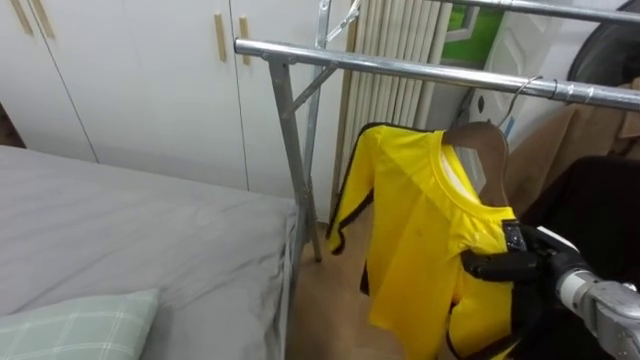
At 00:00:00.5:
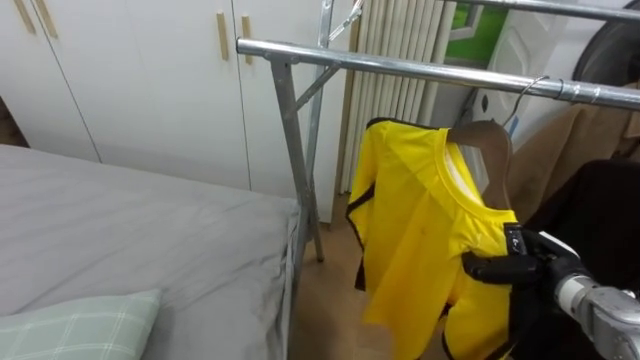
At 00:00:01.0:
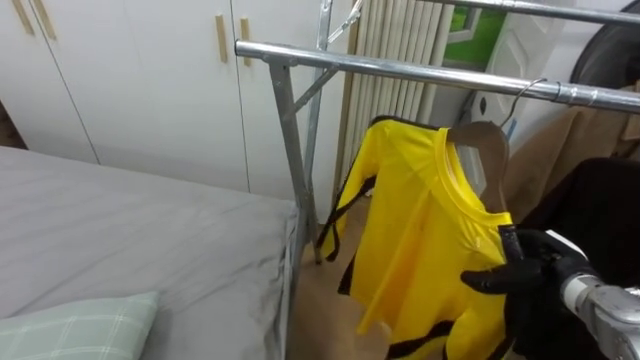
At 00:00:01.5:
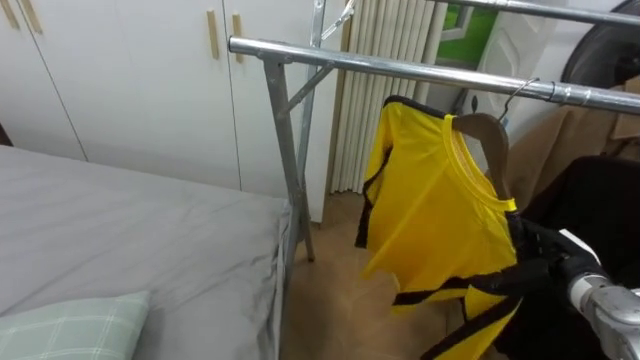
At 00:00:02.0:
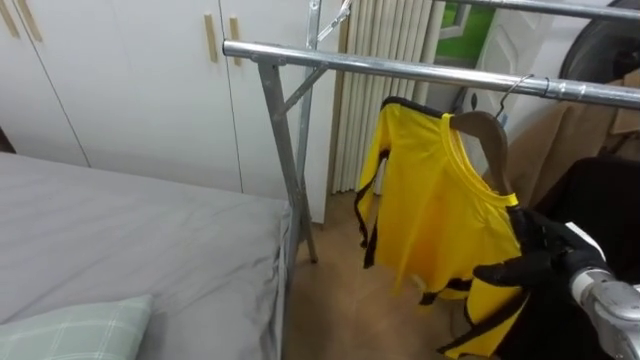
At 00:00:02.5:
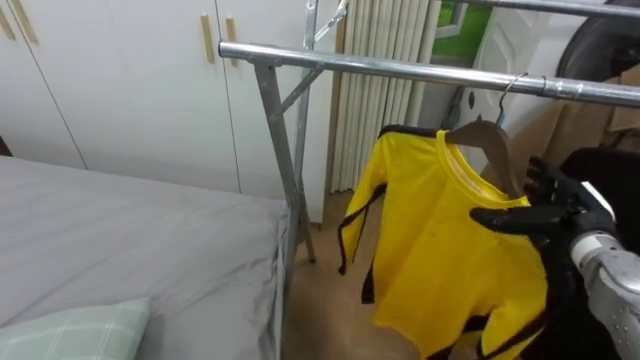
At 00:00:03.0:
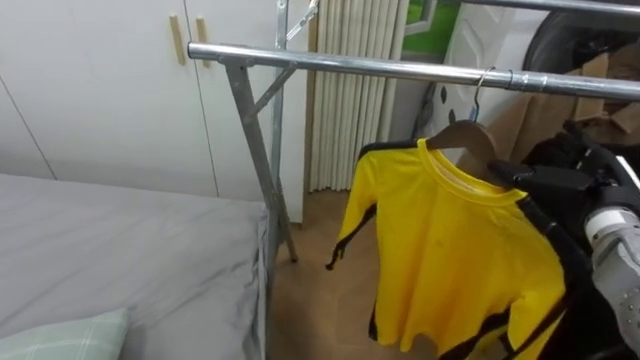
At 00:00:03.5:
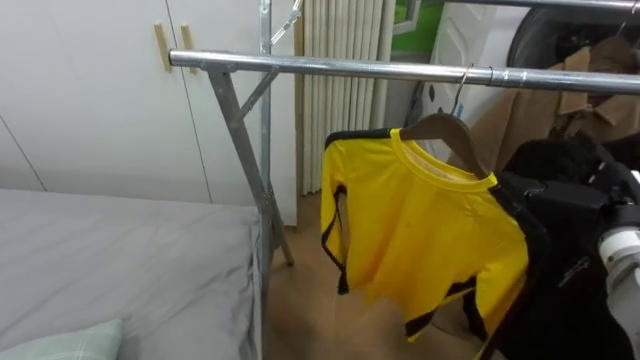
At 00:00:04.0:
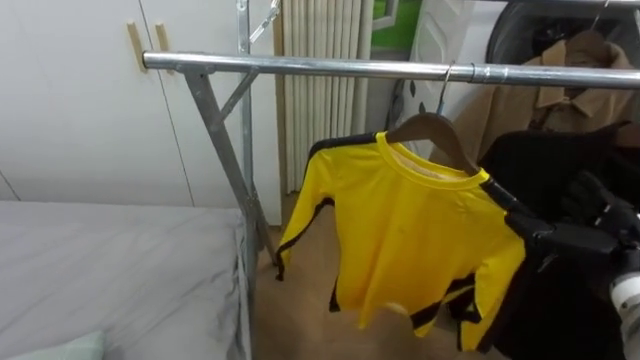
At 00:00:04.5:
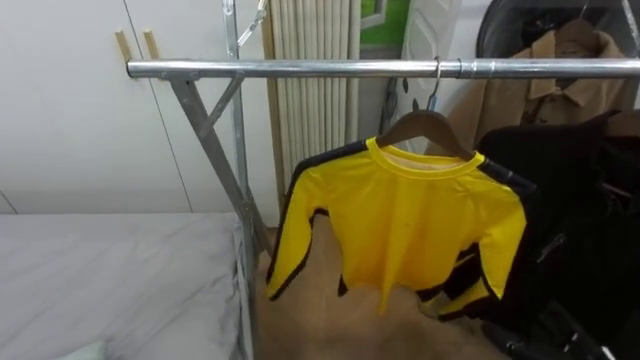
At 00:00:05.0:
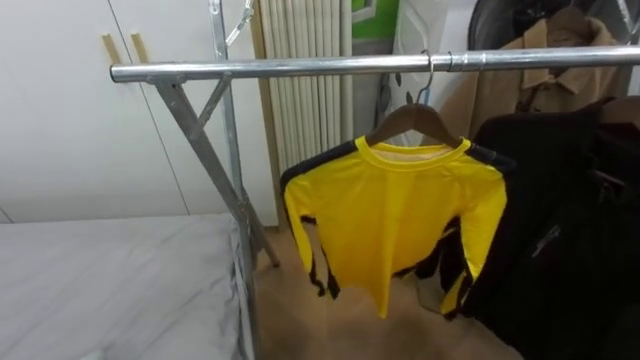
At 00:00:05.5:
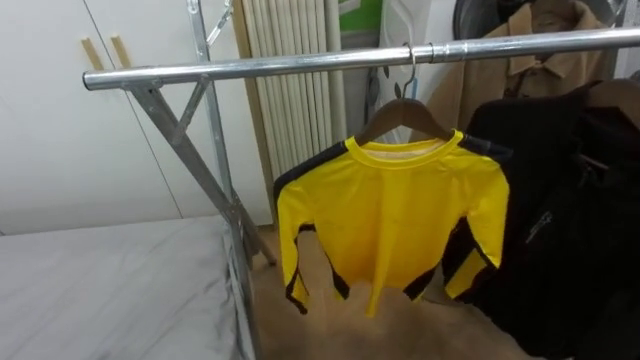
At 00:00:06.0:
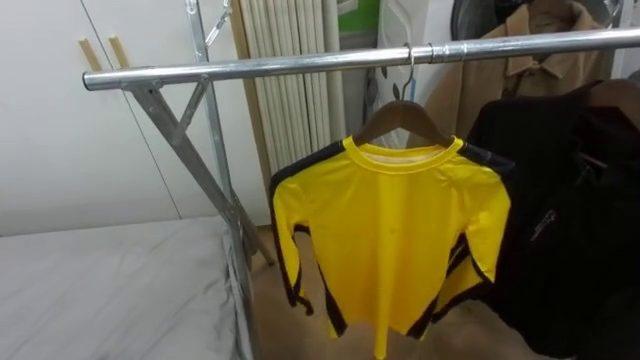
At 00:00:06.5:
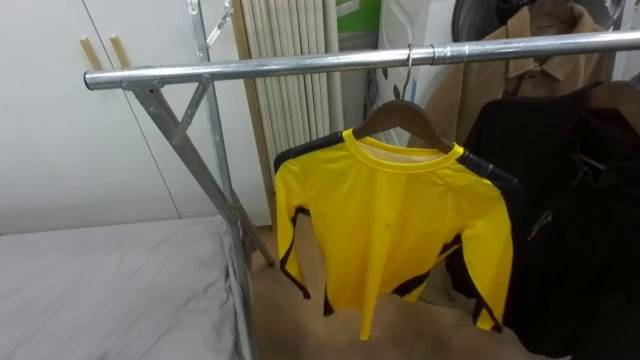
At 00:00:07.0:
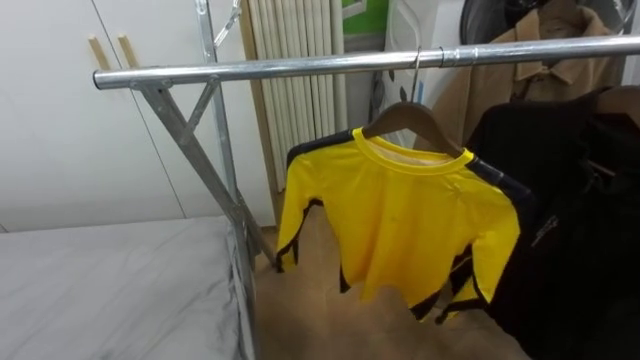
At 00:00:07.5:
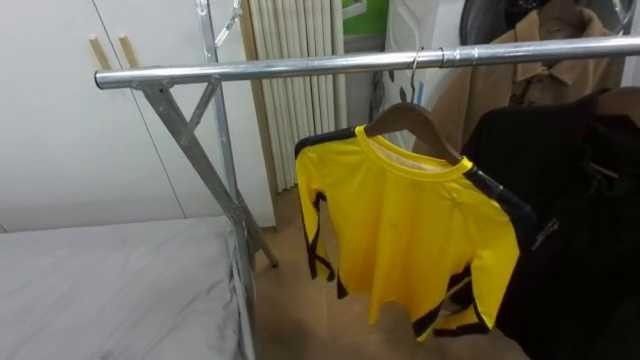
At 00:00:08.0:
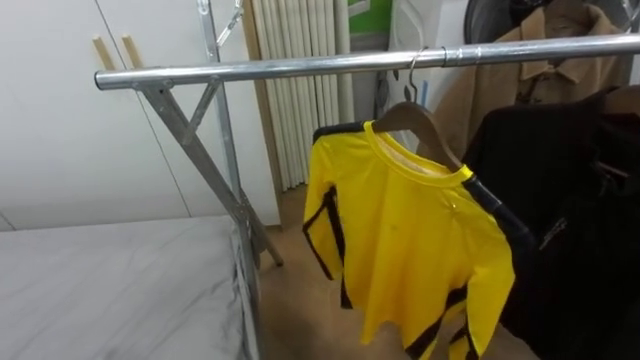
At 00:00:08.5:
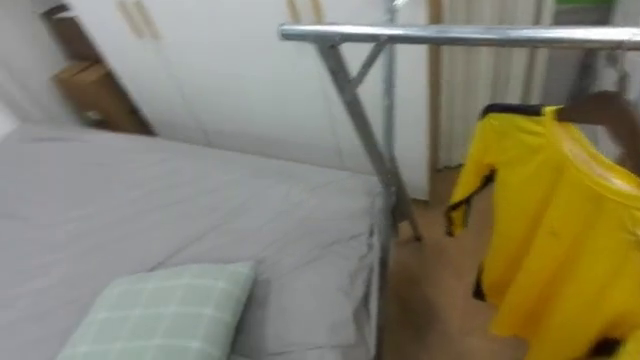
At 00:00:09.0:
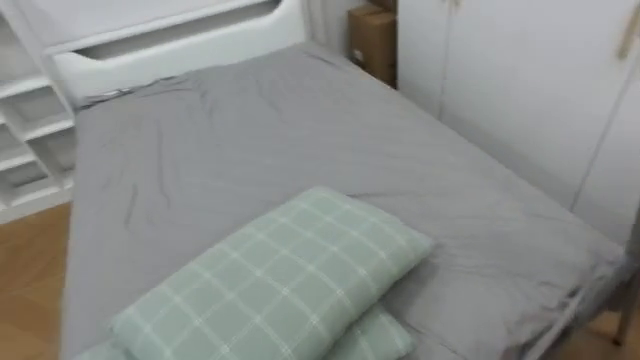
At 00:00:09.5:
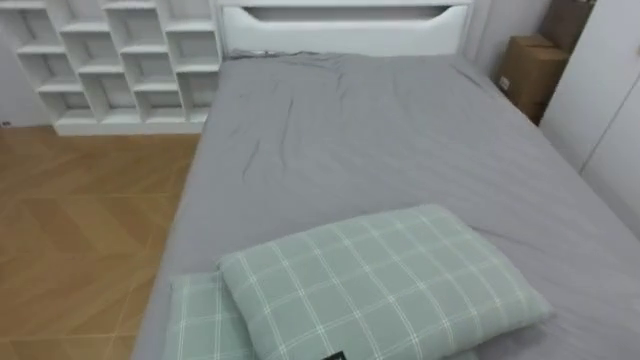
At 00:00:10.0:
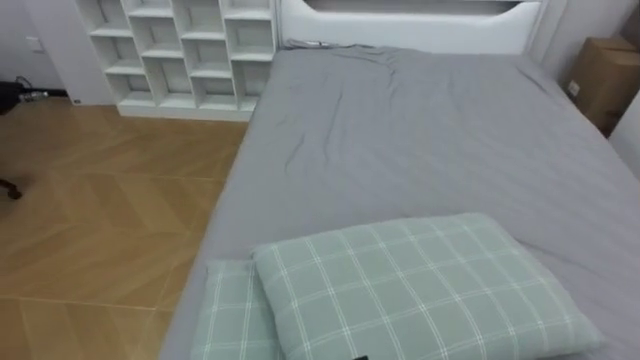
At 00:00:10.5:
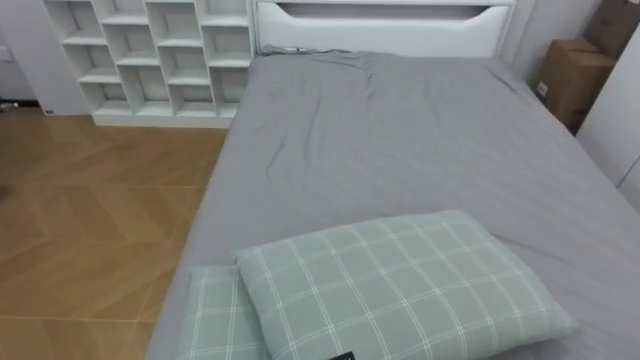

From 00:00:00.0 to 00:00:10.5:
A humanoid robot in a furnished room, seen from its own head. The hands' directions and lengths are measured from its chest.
Task of the whole recording: Pick up the yellow shirt on the bed and hang it on the clothes rack on the right.
From 00:00:00.0 to 00:00:02.0: The right hand opens.
From 00:00:02.0 to 00:00:04.0: The right hand is displaced upward by about 5 cm.
From 00:00:06.5 to 00:00:08.5: The robot turns to its left by some 20 degrees.
From 00:00:08.5 to 00:00:10.5: The robot faces some 70 degrees further to its left.

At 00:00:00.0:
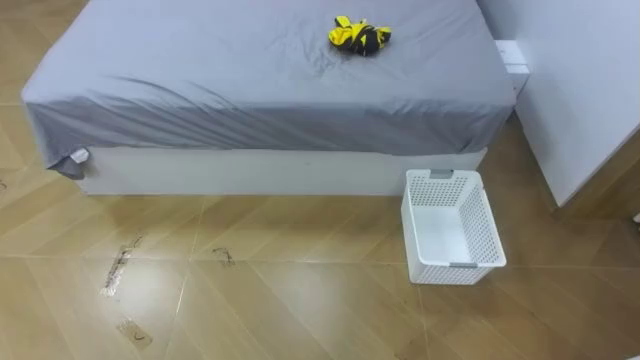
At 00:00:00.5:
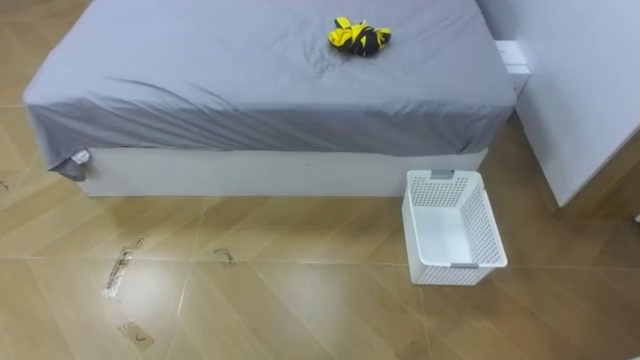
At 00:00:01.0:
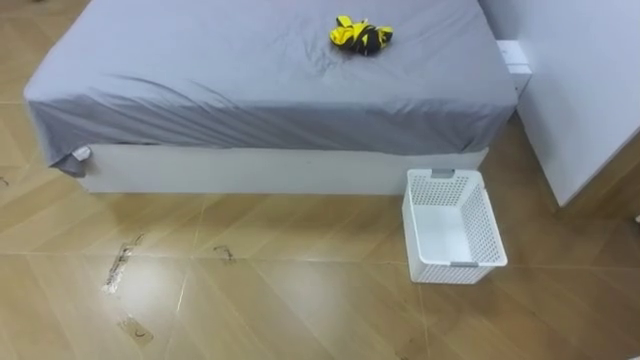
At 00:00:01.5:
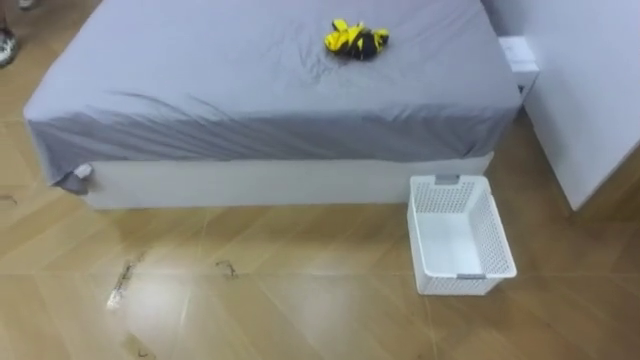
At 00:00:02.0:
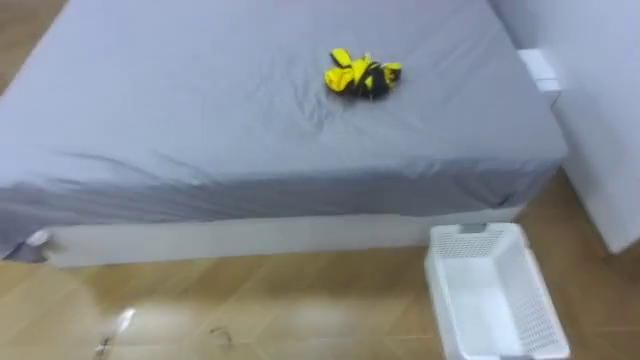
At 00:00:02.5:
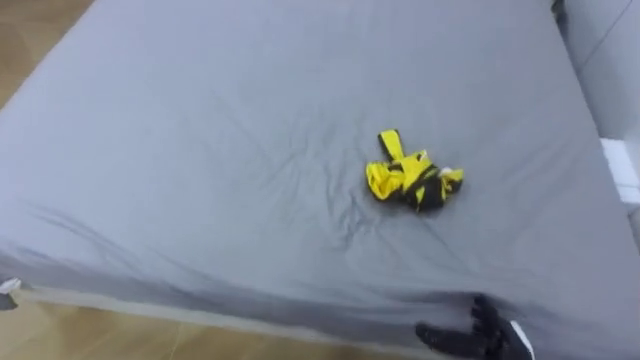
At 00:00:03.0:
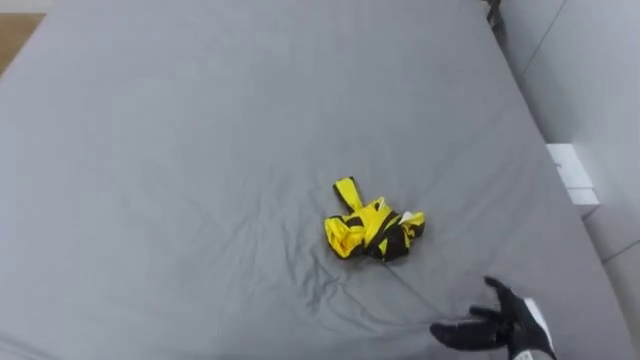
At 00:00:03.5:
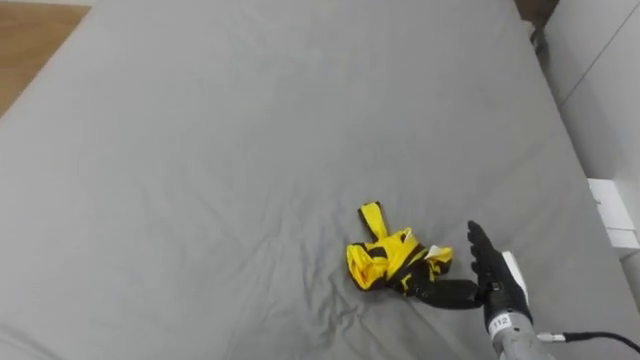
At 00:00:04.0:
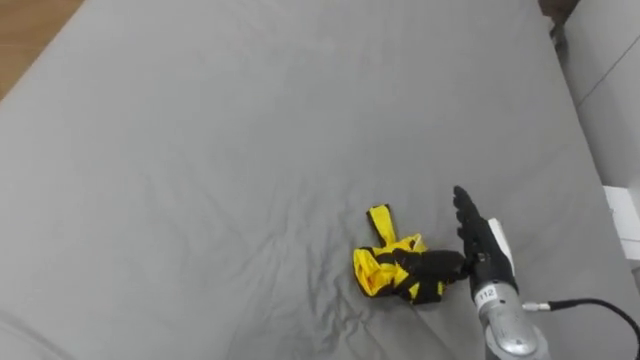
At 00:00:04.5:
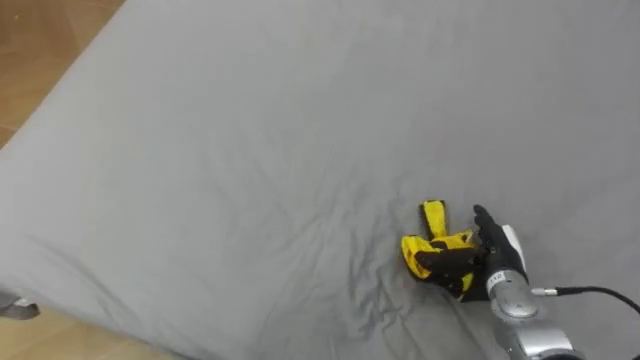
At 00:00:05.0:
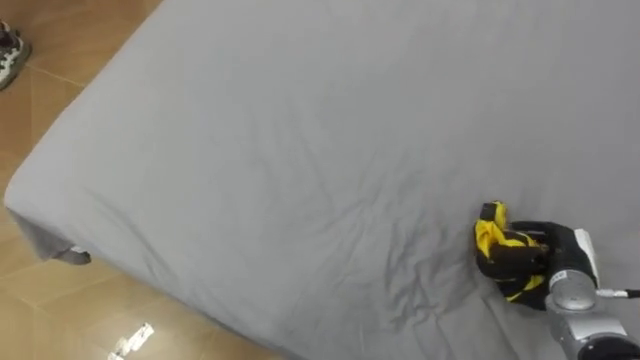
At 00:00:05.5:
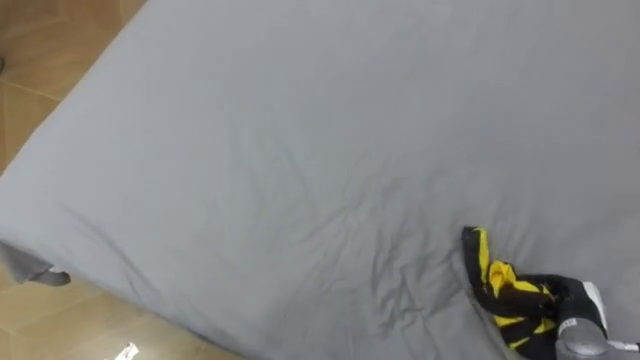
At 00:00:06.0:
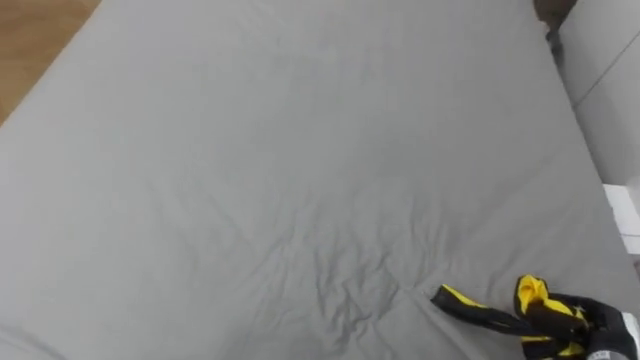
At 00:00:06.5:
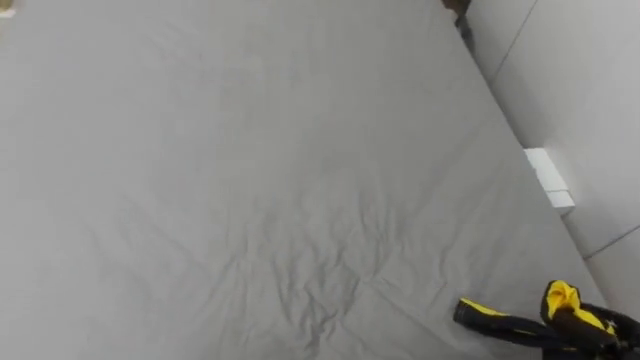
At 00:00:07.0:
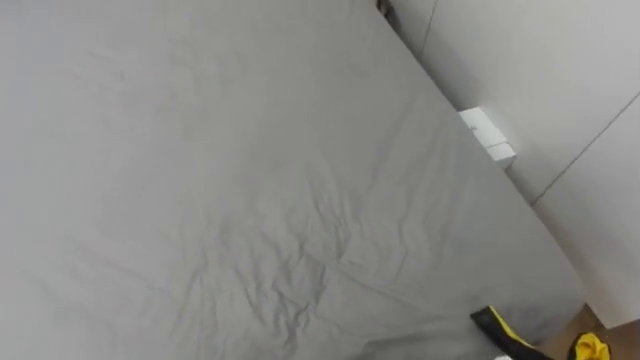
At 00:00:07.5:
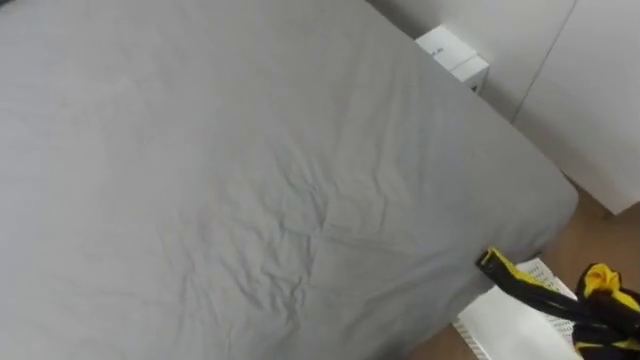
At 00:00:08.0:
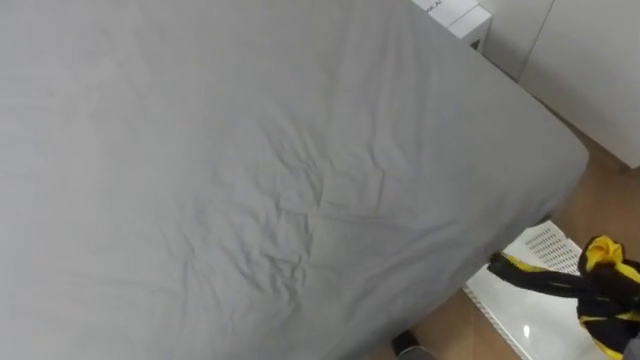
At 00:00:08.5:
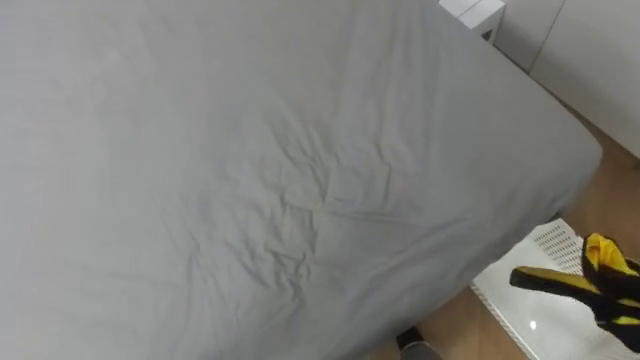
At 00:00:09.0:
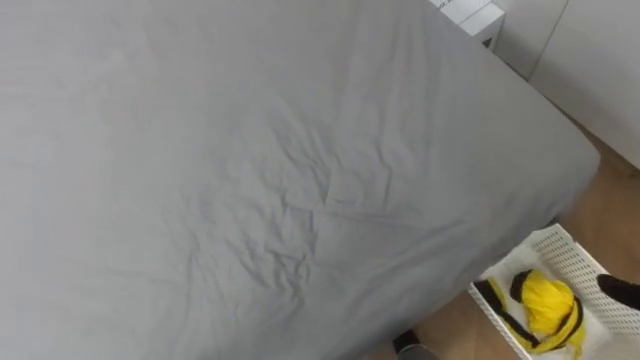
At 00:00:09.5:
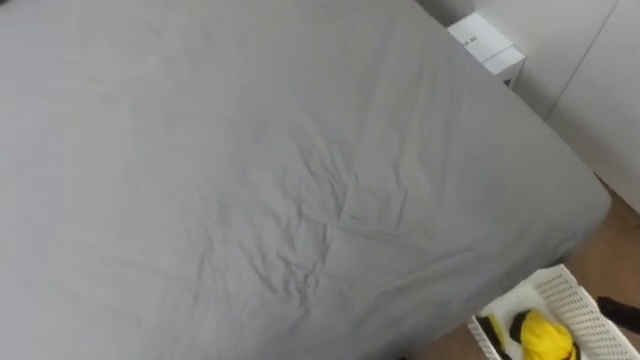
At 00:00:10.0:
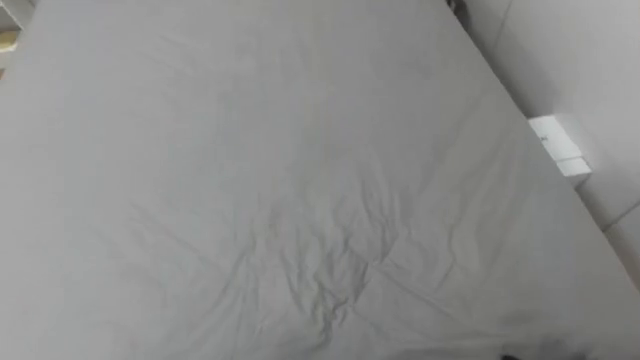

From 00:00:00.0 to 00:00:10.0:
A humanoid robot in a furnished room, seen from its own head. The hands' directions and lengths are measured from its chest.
Task of the whole recording: Pick up the yellow clothes on the bed and place them into the white basket on the right.
From 00:00:04.0 to 00:00:06.0: The right hand moves to the right, backward and downward, approximately 20 cm, and closes.
From 00:00:08.0 to 00:00:10.0: The robot turns to its left by about 15 degrees.
